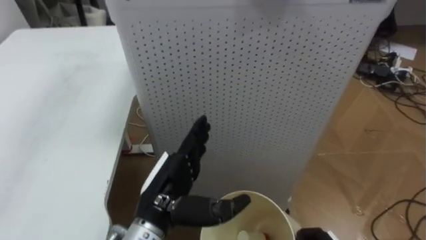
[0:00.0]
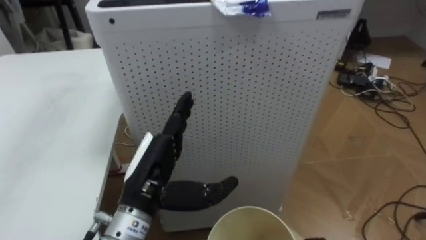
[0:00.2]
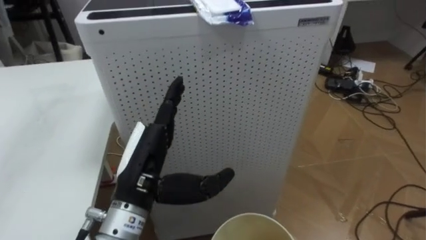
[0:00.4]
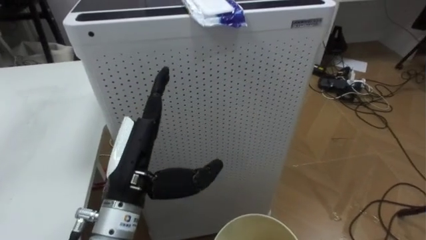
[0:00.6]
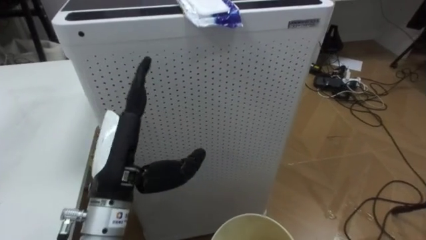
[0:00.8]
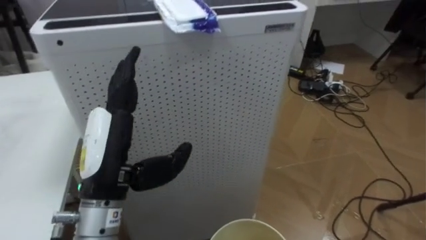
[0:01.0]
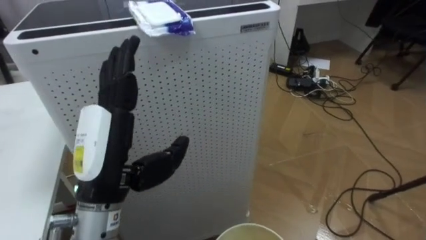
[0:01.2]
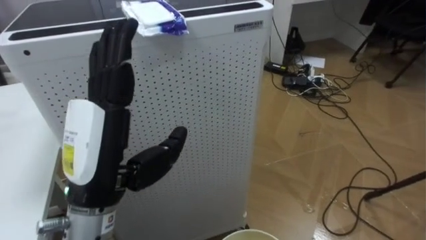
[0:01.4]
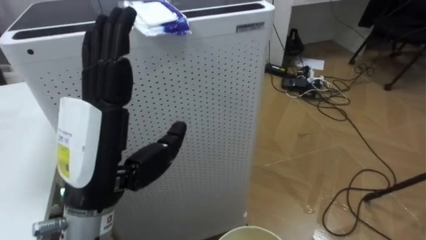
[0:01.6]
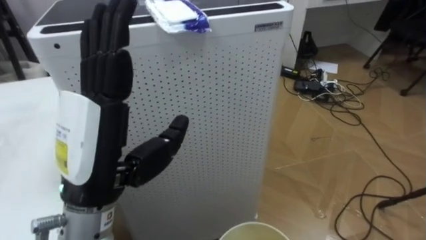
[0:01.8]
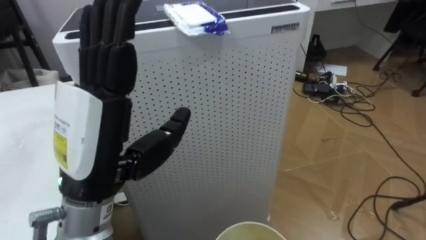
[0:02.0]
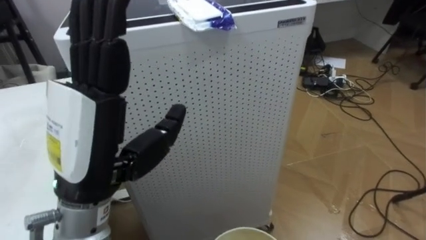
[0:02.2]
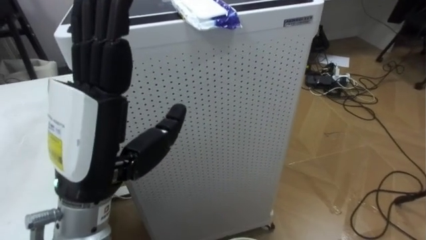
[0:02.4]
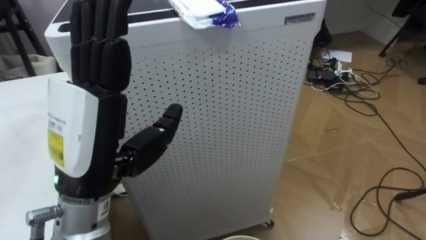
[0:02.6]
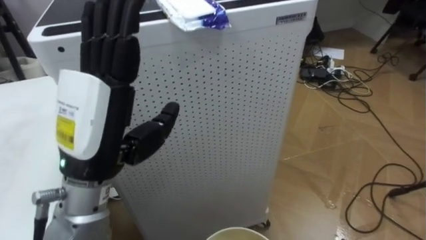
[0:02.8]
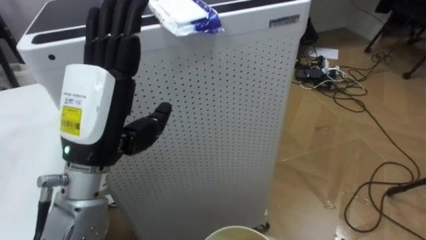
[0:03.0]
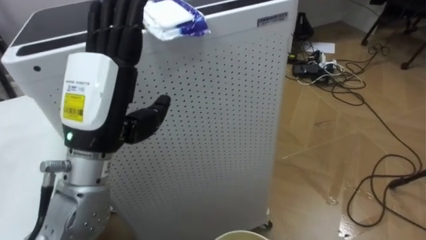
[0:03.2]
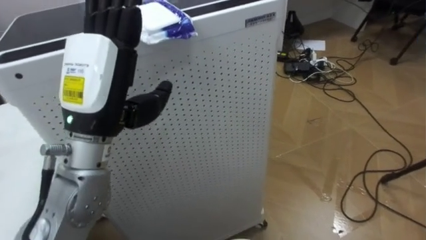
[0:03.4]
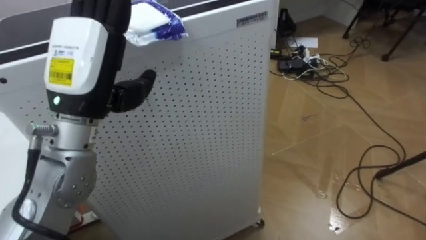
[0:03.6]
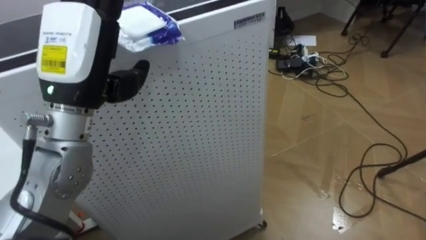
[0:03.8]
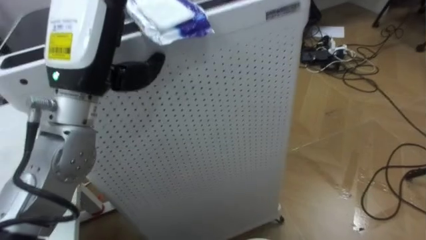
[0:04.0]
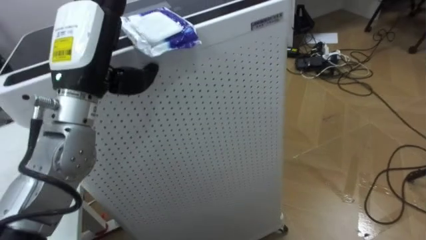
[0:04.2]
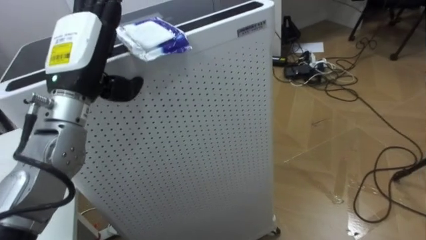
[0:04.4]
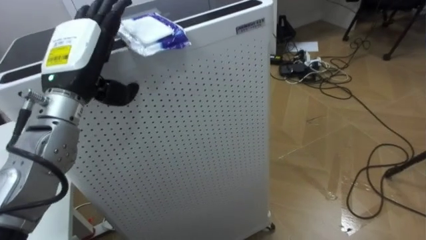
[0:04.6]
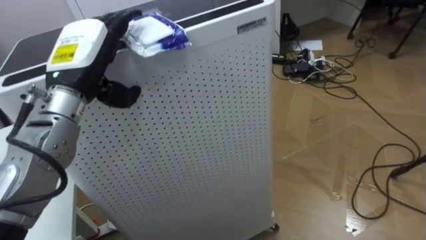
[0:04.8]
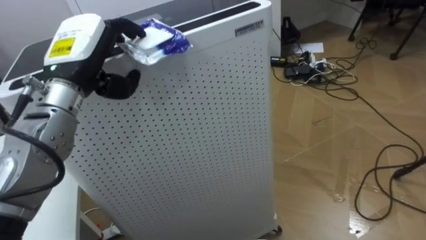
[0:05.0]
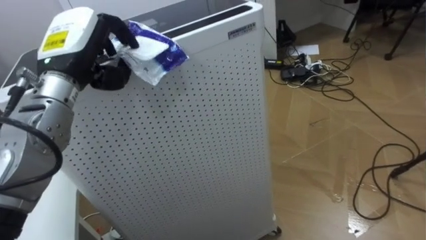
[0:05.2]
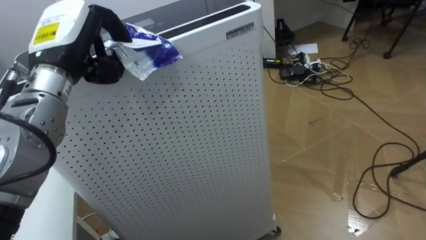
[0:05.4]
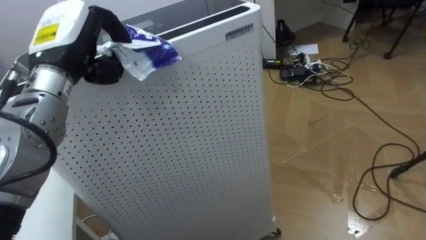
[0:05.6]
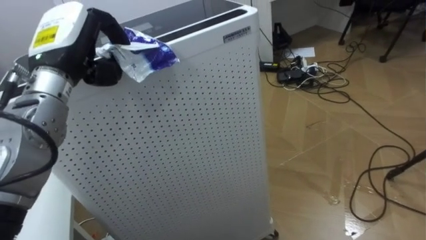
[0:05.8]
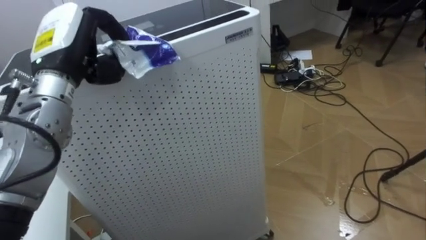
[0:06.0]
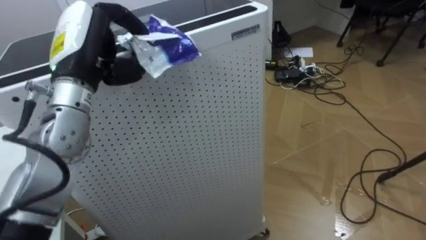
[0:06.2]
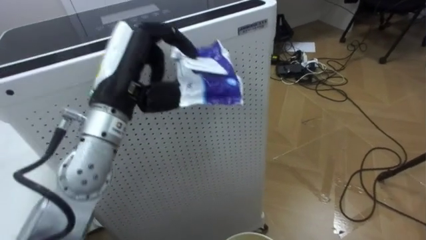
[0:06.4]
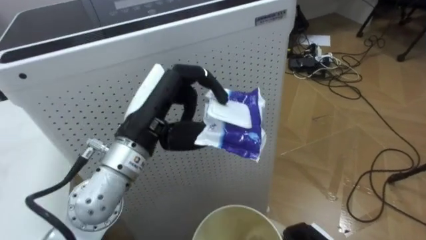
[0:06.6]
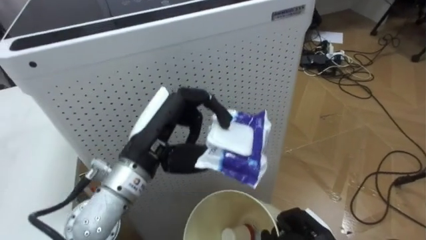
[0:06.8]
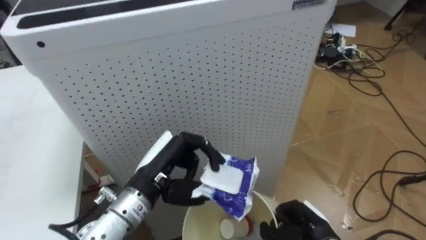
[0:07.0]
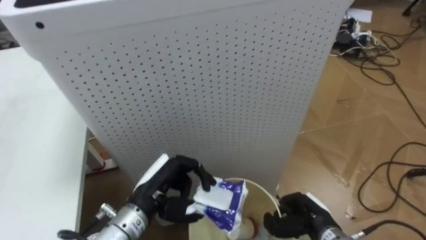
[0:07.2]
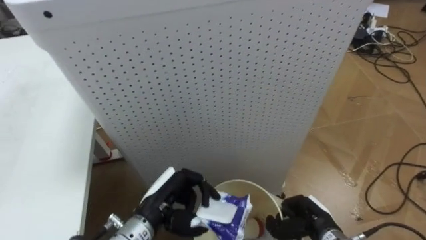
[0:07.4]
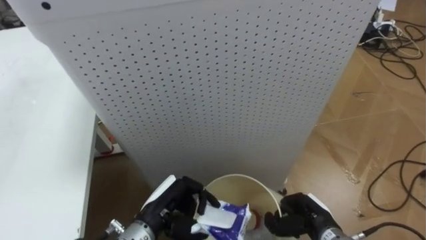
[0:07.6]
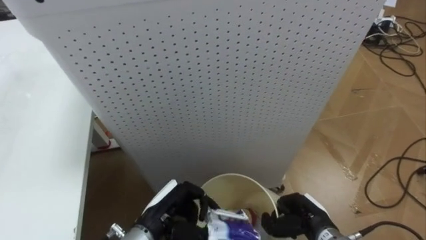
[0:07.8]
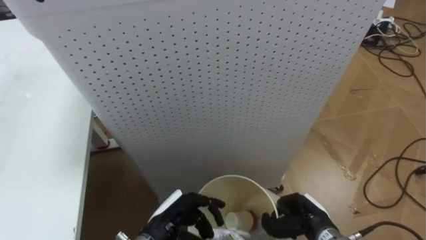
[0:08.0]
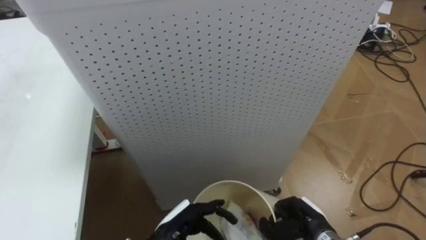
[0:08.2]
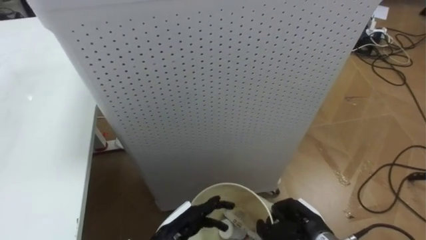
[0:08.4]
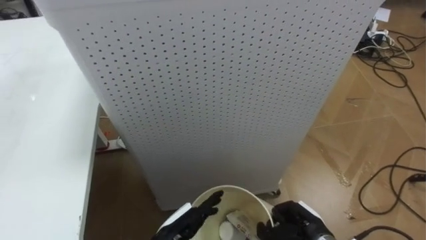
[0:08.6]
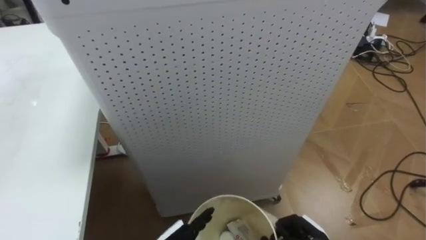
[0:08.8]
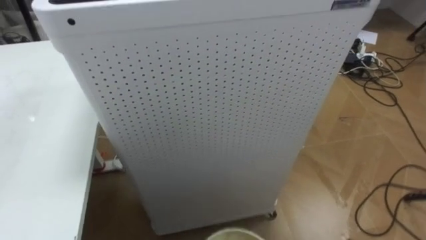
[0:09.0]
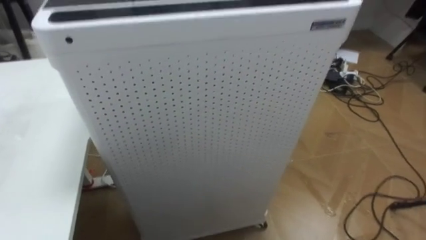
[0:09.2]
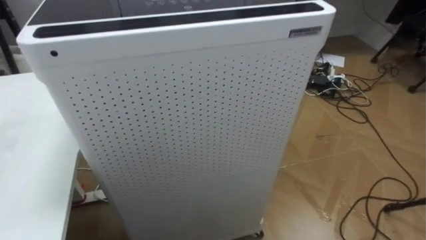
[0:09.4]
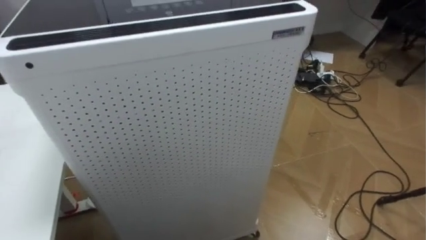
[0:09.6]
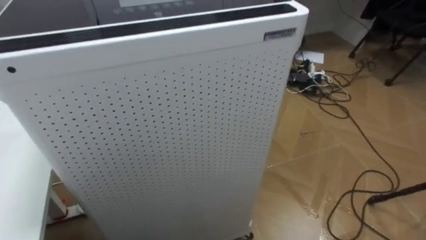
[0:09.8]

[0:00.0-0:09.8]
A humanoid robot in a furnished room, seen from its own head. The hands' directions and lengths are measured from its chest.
Task of the whole recording: Pick up the light blue package, the candy box, and the dark blue package separately, and put them into the trash can held in your right hand.
0:00.0 to 0:01.4: The robot faces roughly 15 degrees further to its right. The left hand goes approximately 15 cm upward and to the left.
0:02.8 to 0:04.2: The left hand travels forward by approximately 10 cm.
0:04.2 to 0:05.6: The left hand ends up roughly 5 cm from where it was, and closes.
0:05.6 to 0:07.0: The left hand moves downward, to the right and backward, approximately 20 cm.
0:07.0 to 0:08.4: The left hand goes approximately 15 cm downward, and opens up.

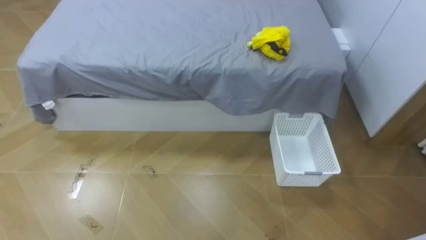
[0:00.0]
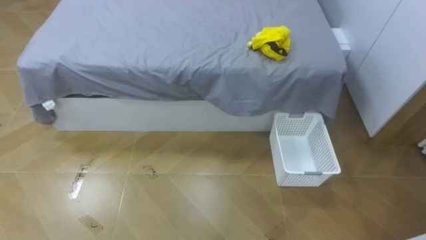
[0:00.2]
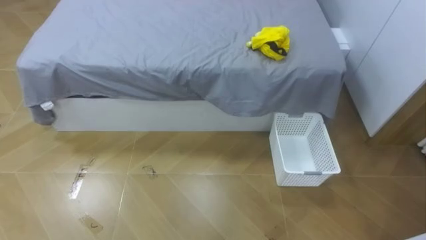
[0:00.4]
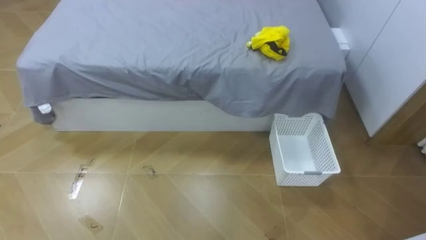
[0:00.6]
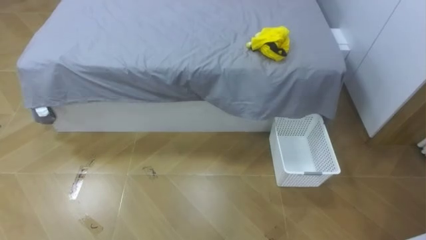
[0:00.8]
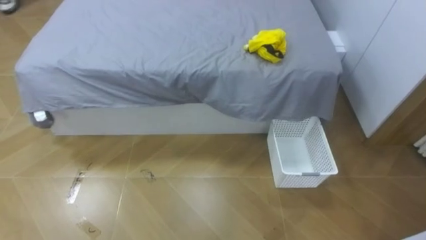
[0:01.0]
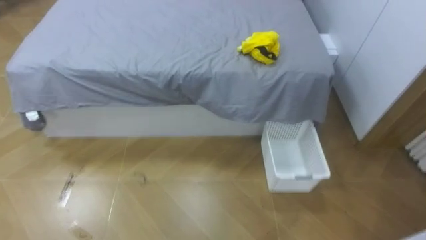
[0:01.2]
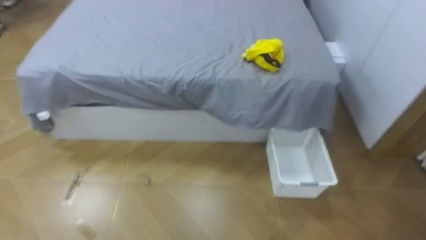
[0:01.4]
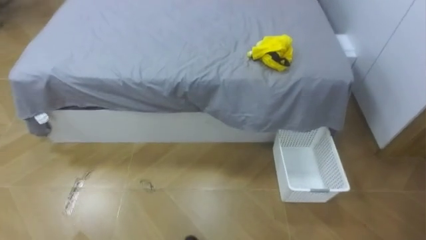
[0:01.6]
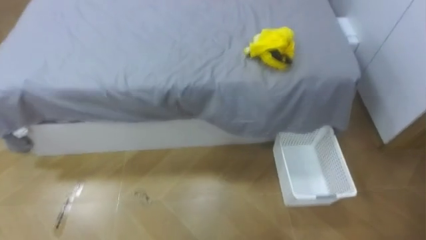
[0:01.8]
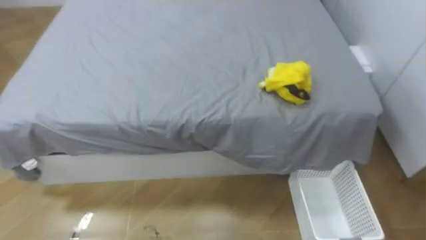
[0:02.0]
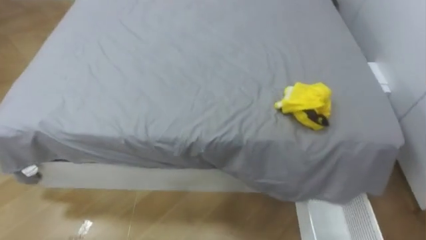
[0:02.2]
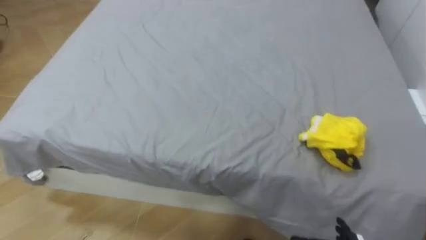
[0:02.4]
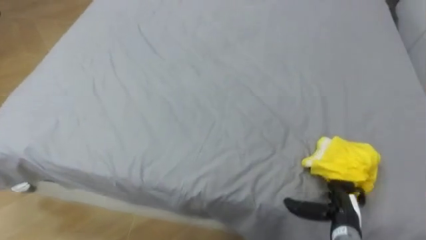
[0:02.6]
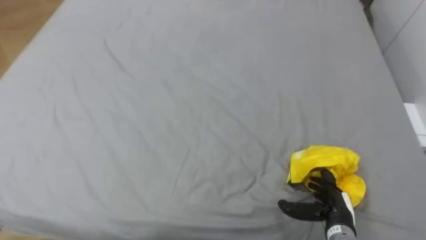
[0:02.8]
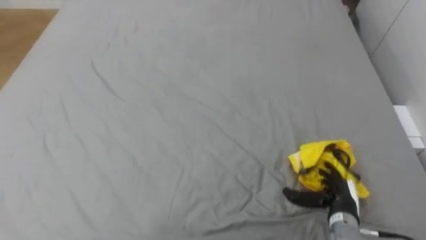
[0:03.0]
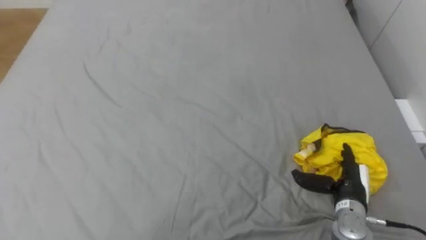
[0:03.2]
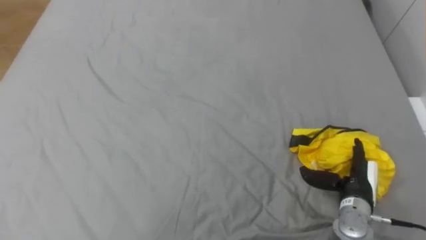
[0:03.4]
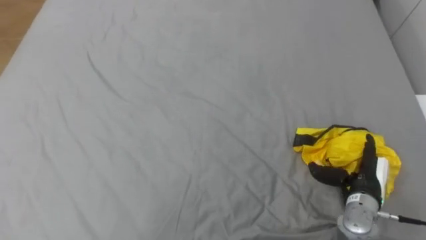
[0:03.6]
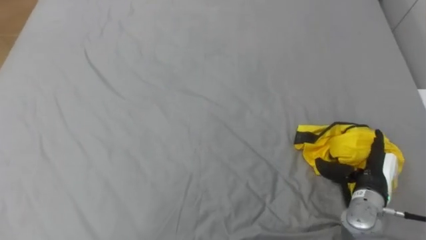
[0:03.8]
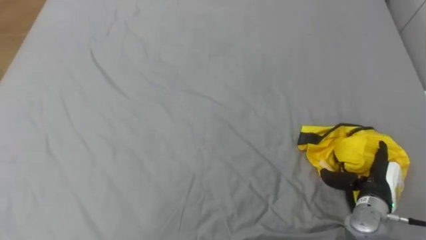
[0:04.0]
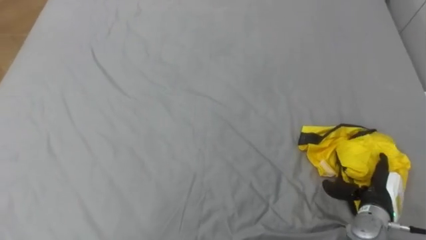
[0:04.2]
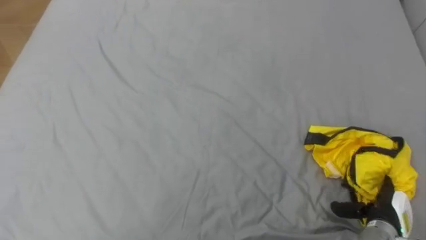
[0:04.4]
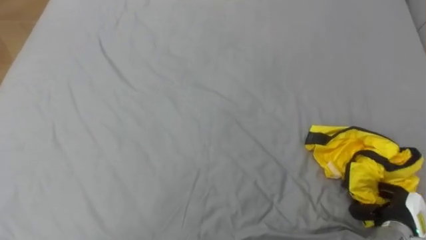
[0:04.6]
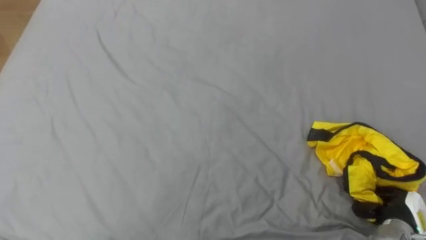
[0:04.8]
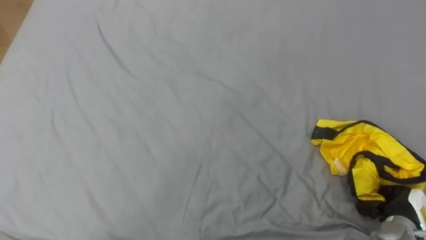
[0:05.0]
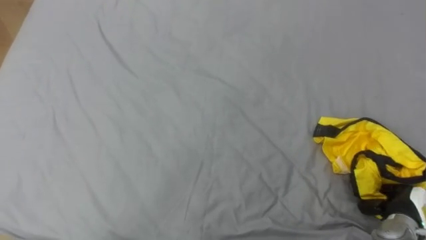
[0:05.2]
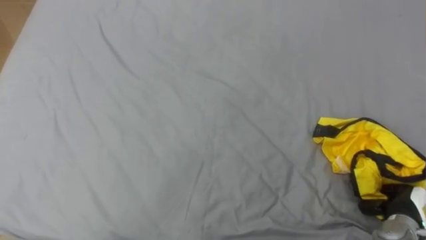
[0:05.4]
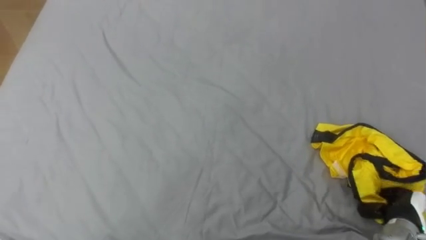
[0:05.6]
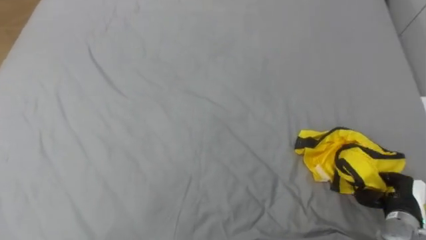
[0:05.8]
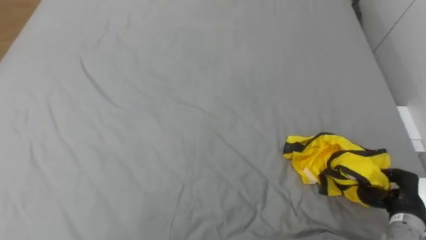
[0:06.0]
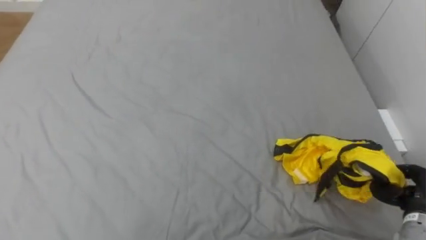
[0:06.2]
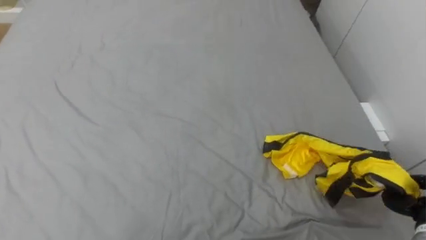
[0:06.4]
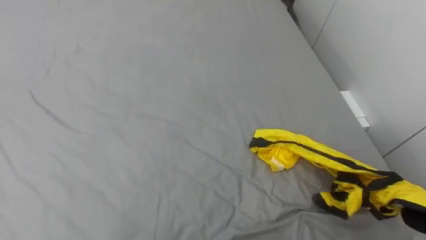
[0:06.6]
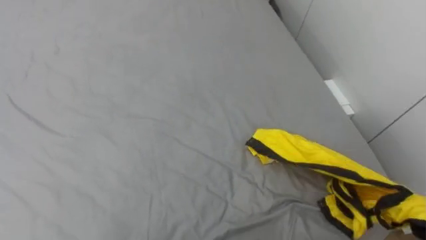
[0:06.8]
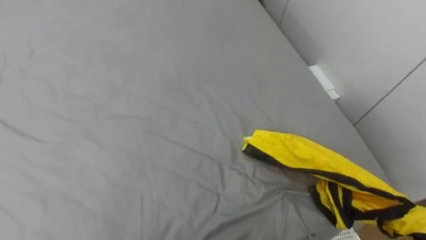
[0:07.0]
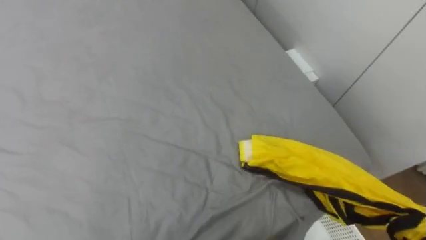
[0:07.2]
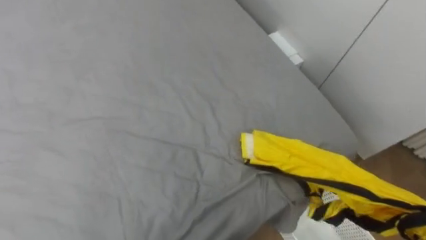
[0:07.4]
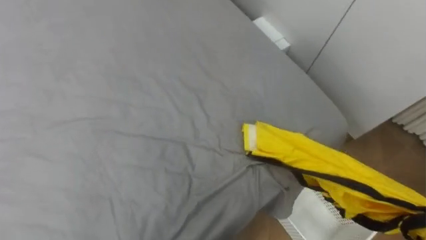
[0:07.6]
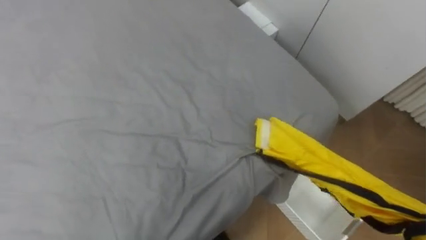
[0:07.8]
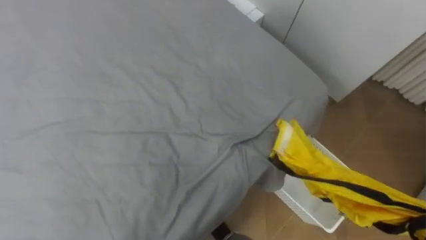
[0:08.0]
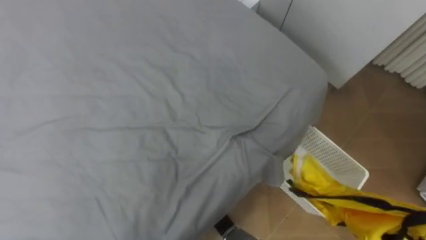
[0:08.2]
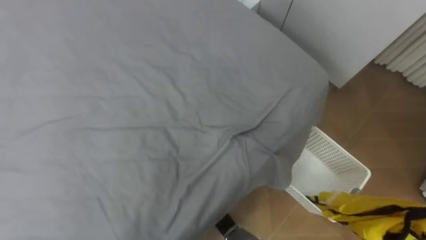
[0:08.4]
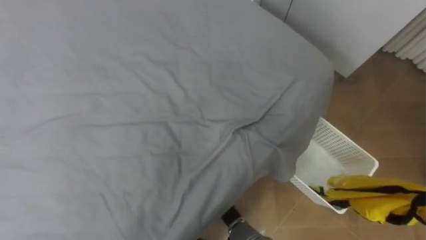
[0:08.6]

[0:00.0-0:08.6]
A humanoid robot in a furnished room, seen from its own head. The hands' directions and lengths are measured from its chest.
Task of the whole recording: Pick up the yellow clothes on the bed and place them into the white basket on the right.
0:02.8 to 0:04.4: The right hand shifts approximately 10 cm to the right.
0:04.4 to 0:05.8: The right hand closes up.
